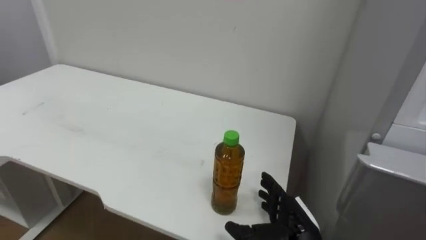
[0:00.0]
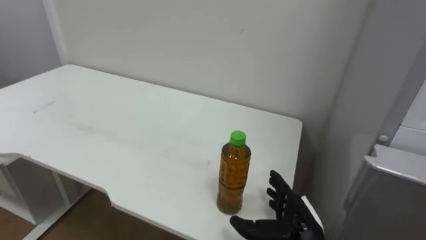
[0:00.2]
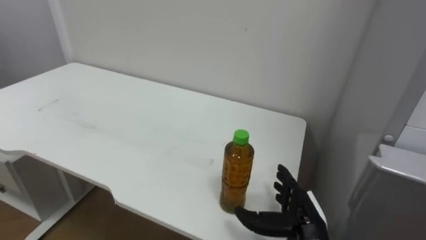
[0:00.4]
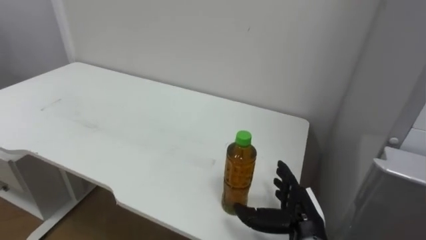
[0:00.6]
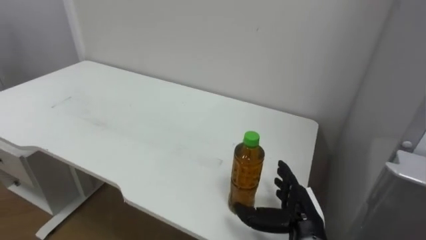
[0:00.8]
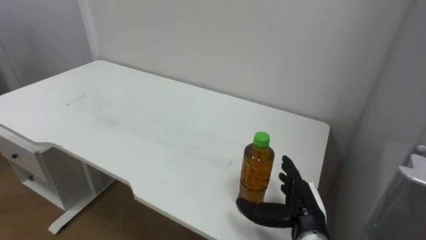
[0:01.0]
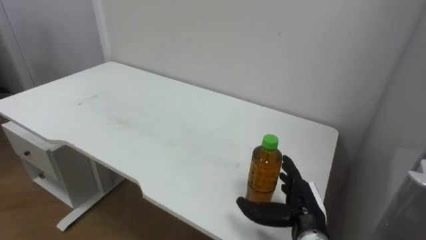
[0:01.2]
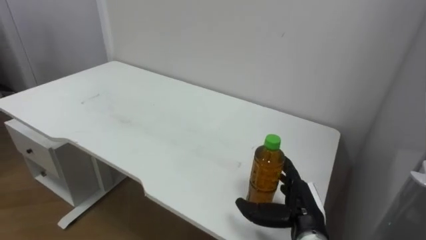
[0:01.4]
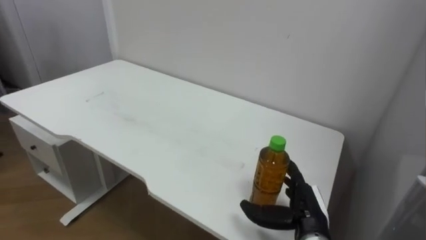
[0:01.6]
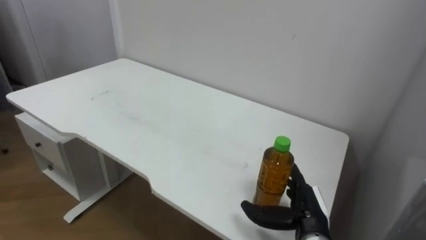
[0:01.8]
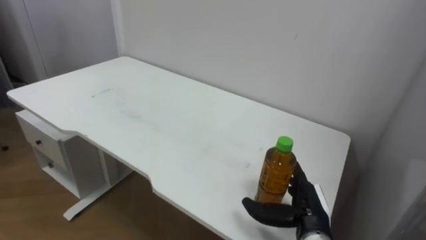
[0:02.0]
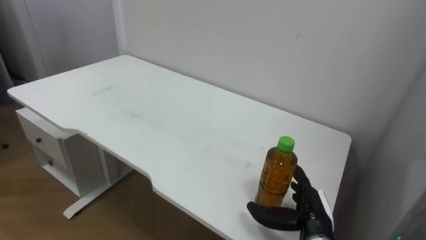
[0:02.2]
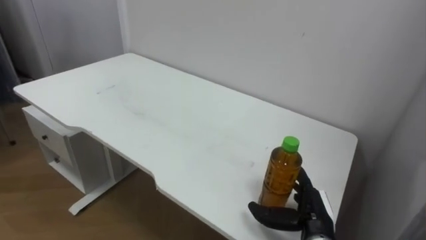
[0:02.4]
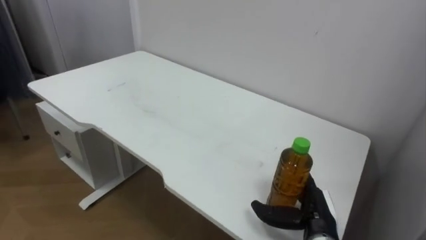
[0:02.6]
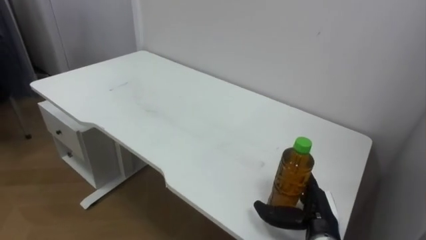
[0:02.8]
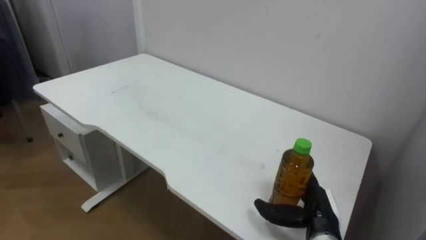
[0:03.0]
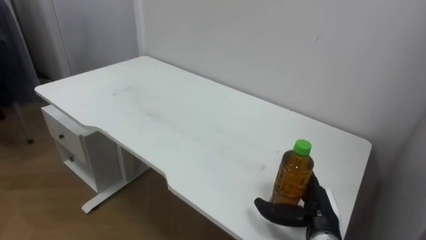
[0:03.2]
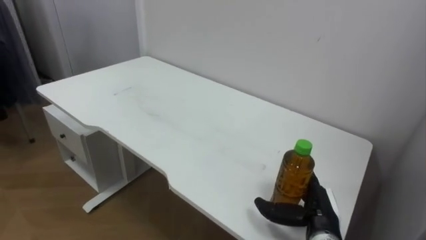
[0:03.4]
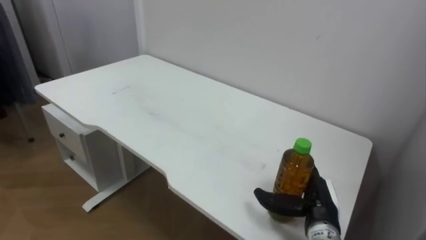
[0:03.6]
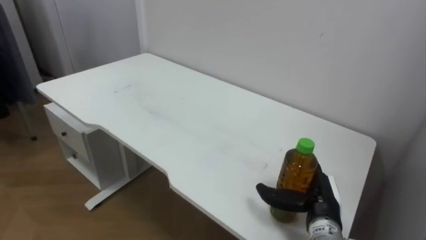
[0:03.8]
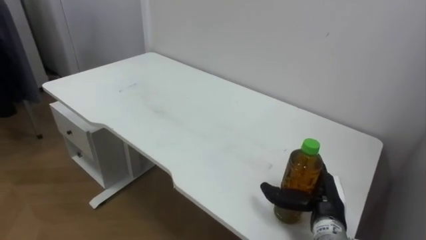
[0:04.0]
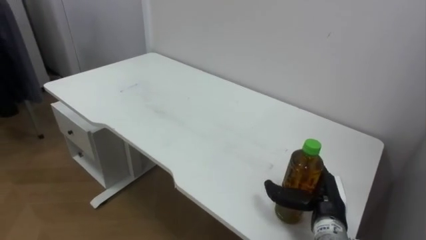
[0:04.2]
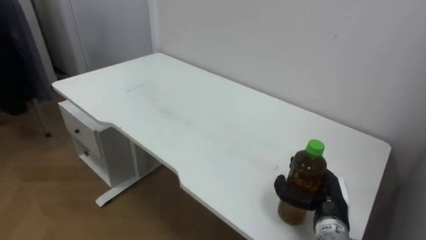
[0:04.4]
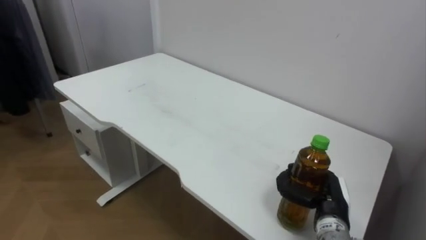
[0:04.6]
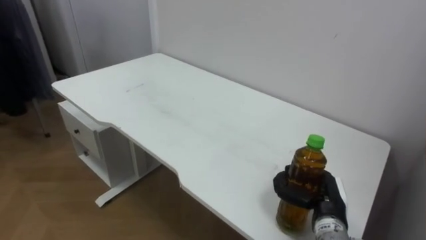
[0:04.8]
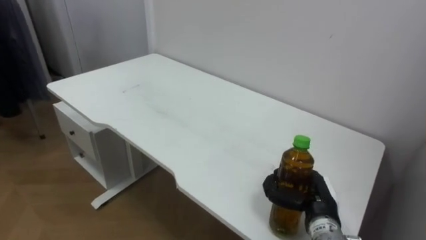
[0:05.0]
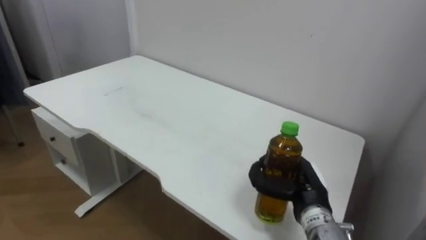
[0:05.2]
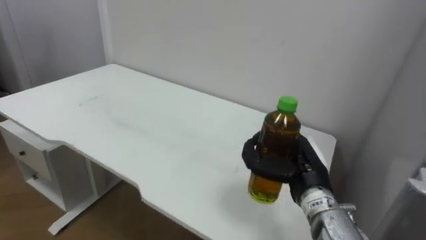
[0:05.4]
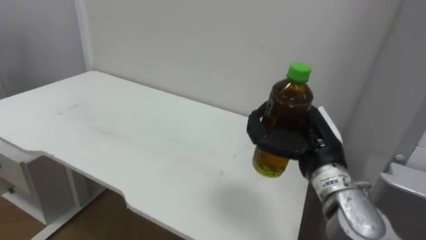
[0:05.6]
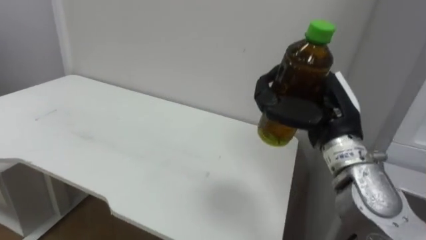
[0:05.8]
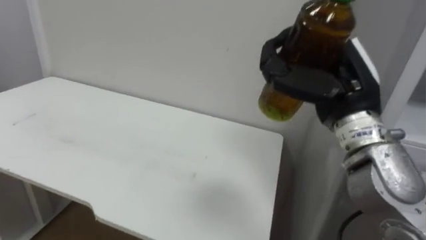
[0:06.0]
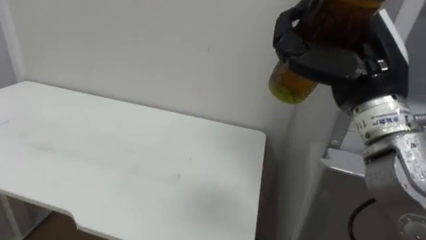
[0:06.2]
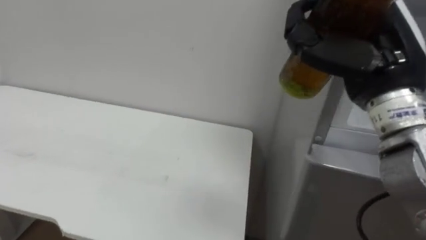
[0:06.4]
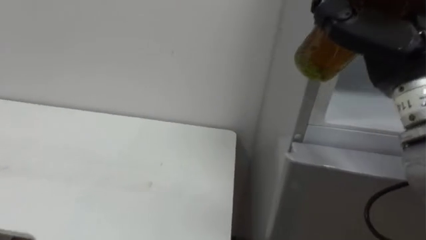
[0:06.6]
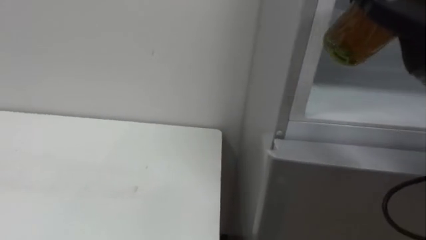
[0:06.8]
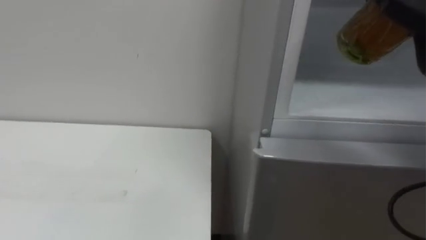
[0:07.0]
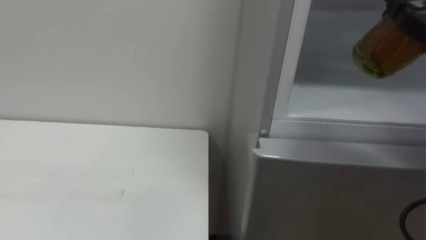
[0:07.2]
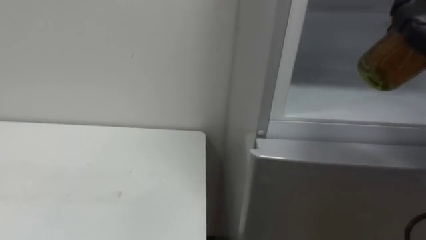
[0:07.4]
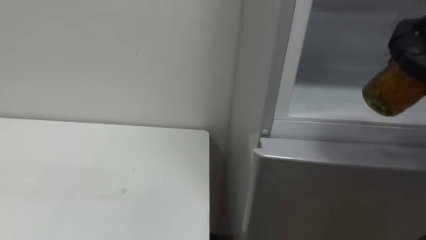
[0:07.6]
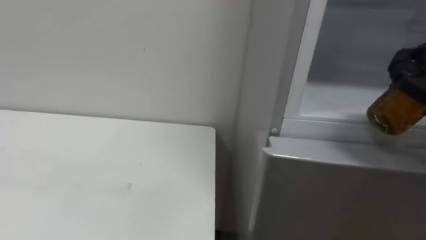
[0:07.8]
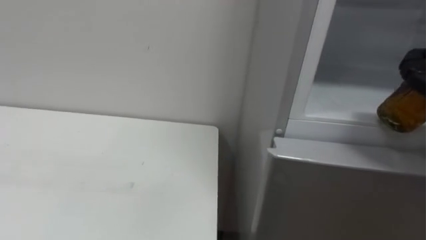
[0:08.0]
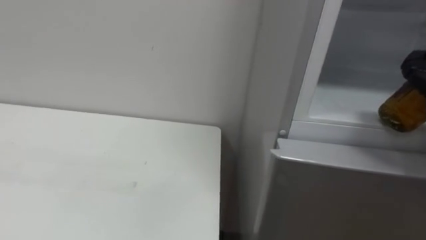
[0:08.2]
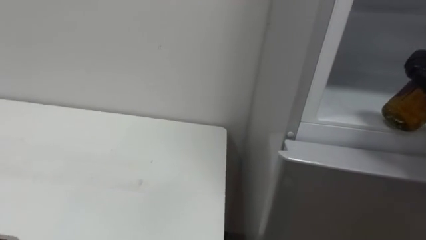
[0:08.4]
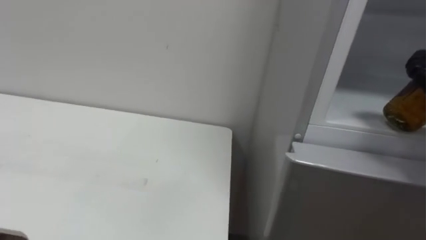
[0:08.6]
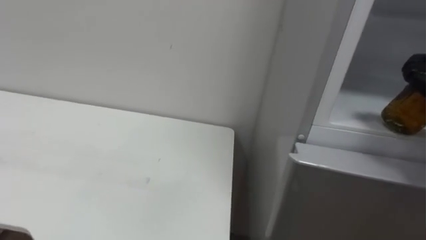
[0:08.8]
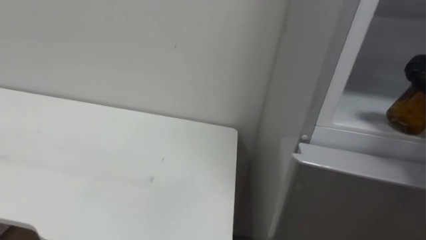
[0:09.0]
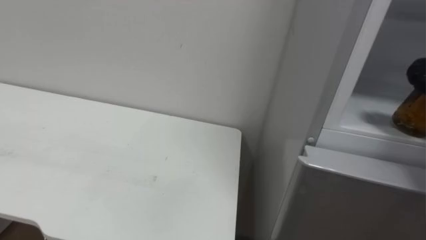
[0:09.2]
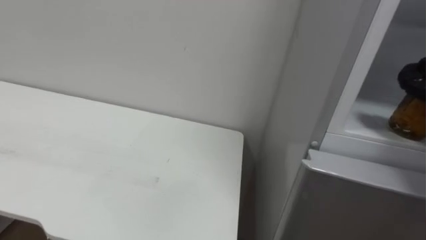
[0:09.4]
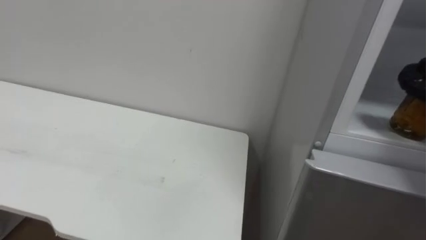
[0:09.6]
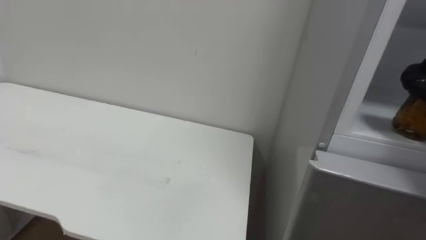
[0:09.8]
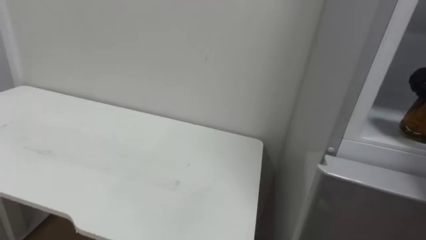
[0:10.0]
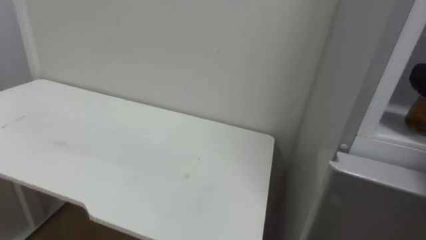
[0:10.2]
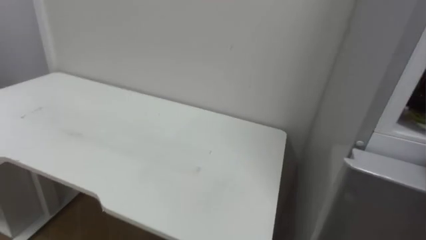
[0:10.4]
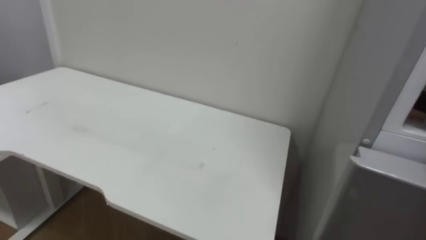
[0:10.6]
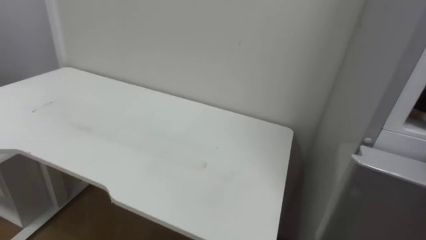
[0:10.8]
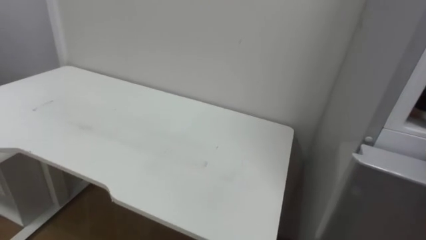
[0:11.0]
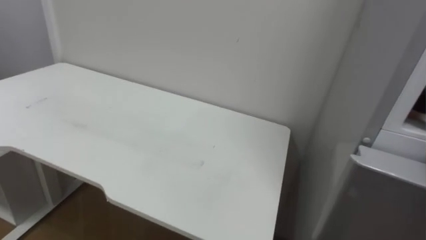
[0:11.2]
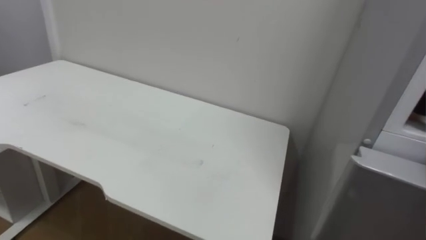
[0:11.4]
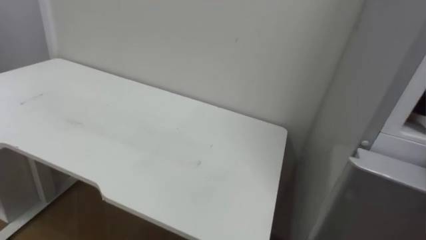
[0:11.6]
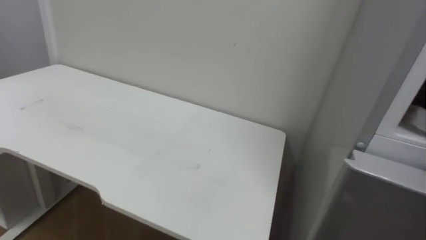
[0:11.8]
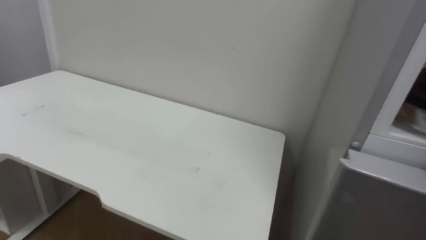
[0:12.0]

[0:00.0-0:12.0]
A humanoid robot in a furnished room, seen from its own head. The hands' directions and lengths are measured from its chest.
Task of the whole recording: Open the upper refrigerator door, put the drink from the table into the refrigerator, and then close the refrigerator door.
0:03.0 to 0:04.4: The right hand closes.
0:04.4 to 0:06.0: The right hand heads upward, covering some 25 cm.

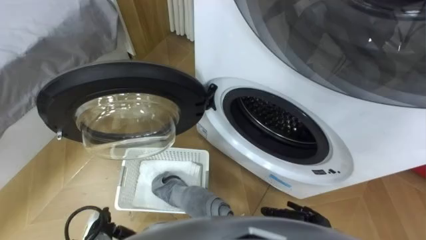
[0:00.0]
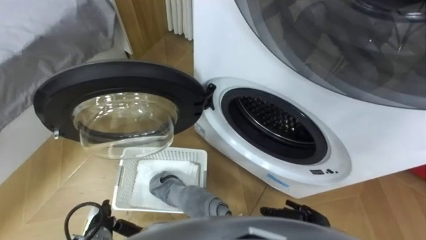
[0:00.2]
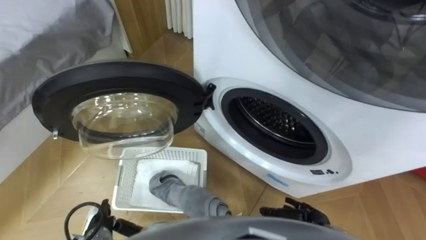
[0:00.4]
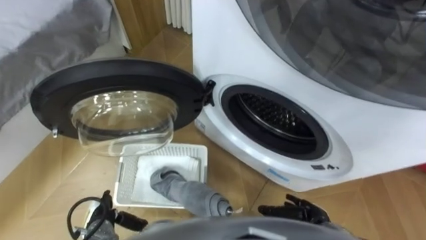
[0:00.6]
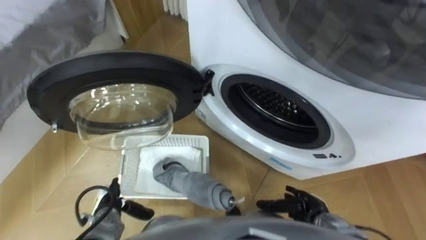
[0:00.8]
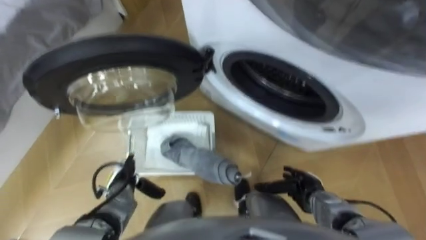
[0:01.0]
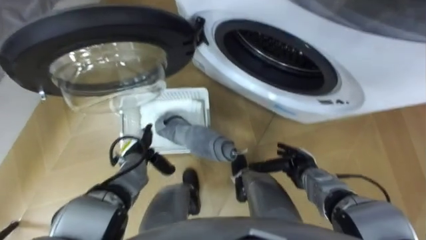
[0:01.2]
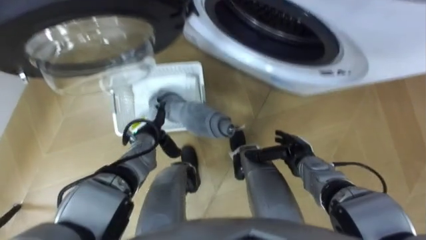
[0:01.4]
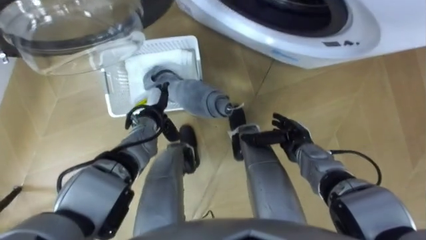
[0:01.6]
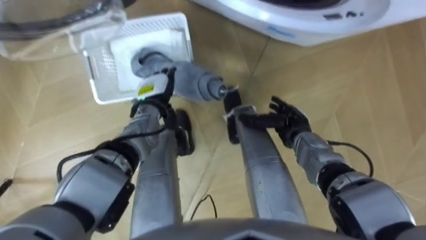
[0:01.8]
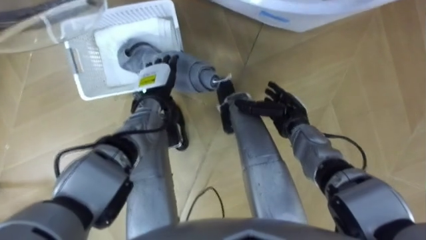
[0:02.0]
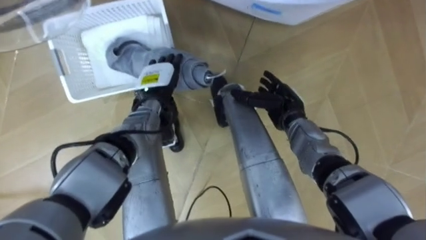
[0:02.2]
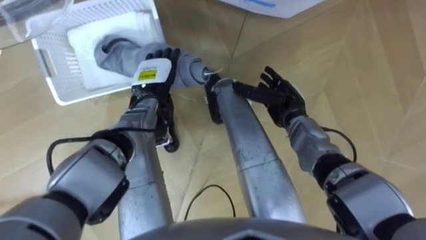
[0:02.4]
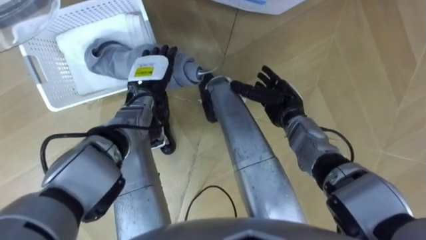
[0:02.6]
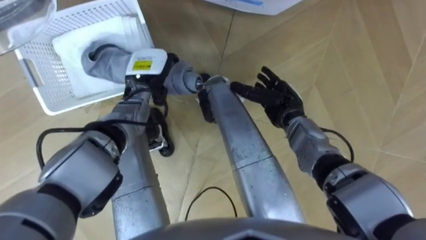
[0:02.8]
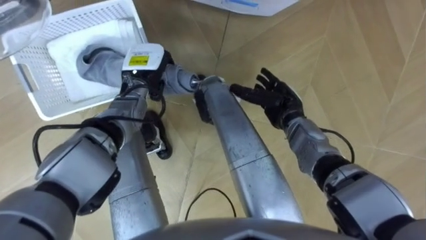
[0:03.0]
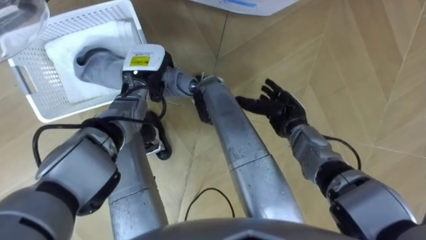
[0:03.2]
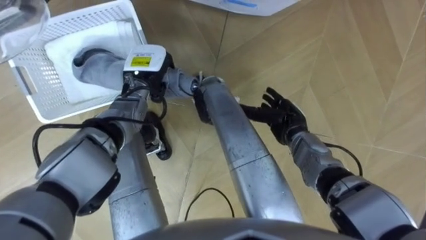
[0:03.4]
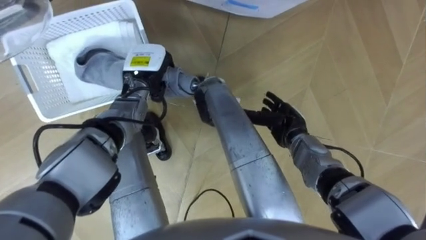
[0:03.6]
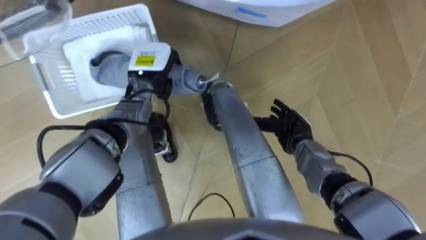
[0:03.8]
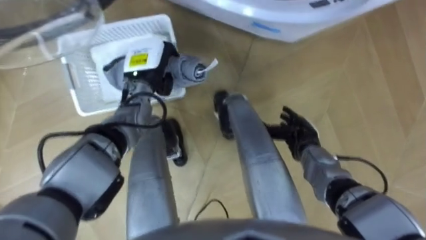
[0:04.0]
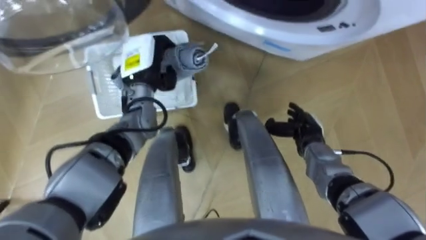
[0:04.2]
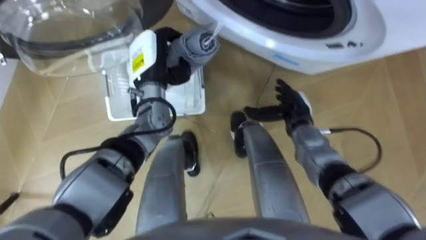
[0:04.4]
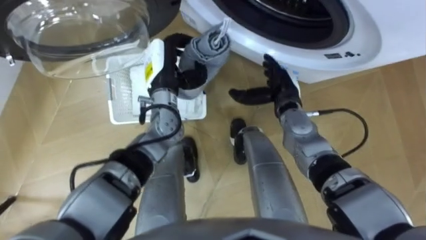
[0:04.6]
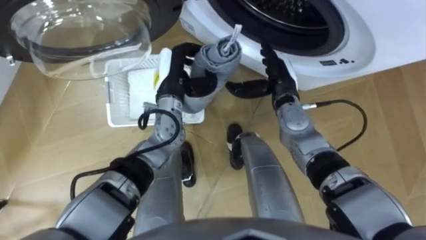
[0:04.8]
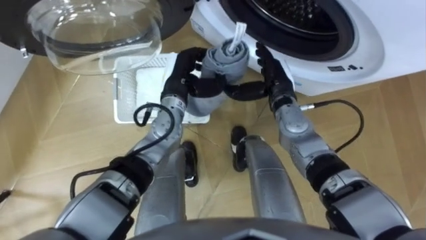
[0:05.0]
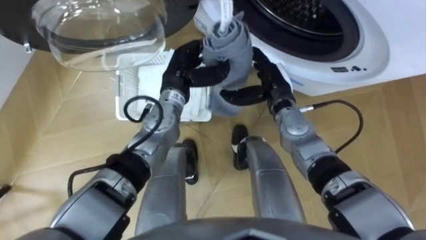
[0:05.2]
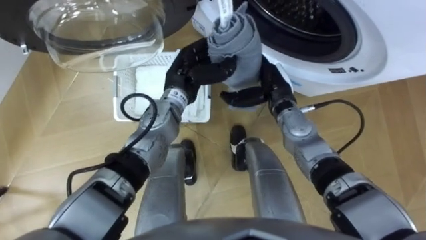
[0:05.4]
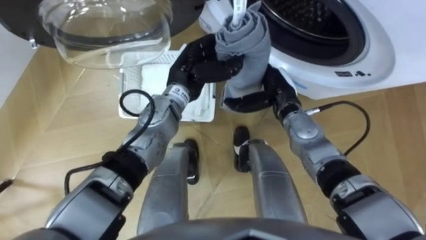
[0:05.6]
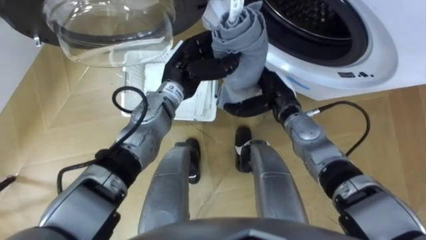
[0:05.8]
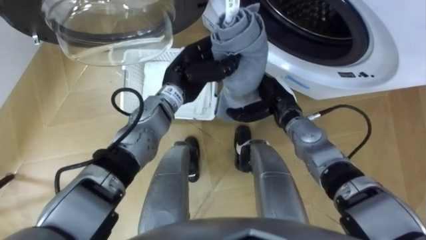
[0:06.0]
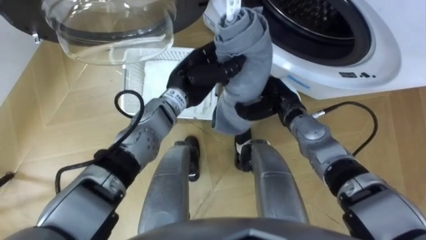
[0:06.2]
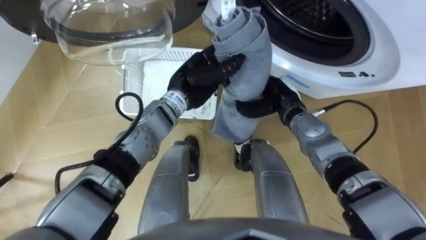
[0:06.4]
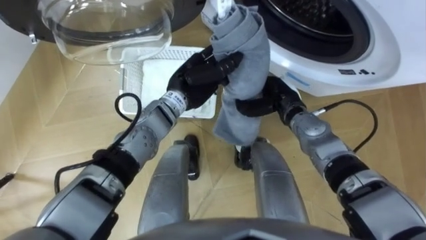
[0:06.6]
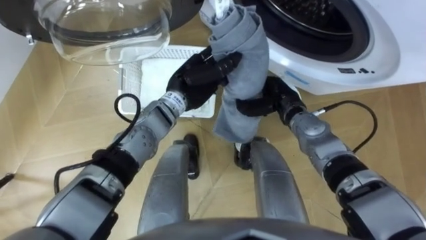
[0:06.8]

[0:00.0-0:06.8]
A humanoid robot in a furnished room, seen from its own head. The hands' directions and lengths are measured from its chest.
Task of the whole recording: Take the towel from the basket and put it into the washing machine.
0:01.4 to 0:02.8: The left hand moves upward and forward, about 15 cm, while the right hand travels forward and upward by roughly 15 cm.
0:02.8 to 0:04.0: The left hand closes up; the right hand is displaced backward by roughly 5 cm.
0:04.0 to 0:05.4: The left hand moves to the right, about 10 cm, while the right hand moves upward, to the left and forward, about 15 cm.
0:05.4 to 0:06.8: The right hand closes.
